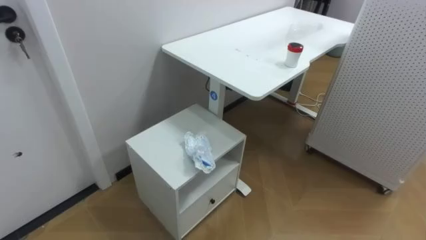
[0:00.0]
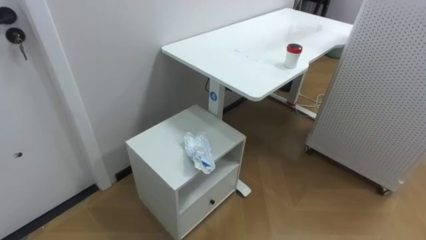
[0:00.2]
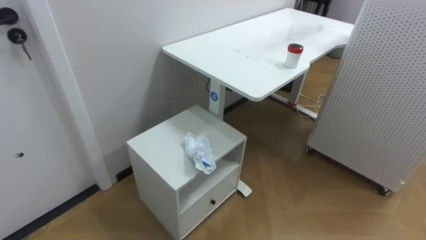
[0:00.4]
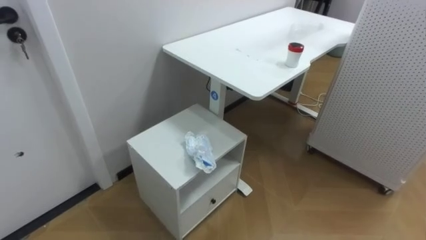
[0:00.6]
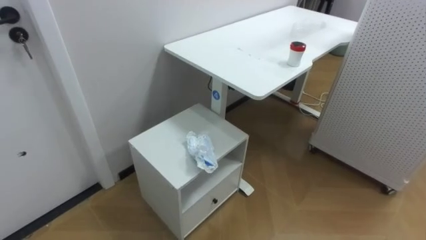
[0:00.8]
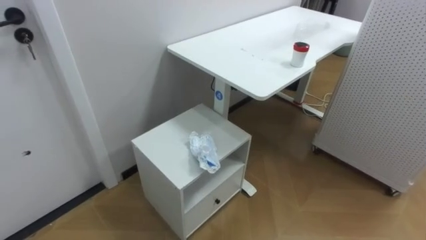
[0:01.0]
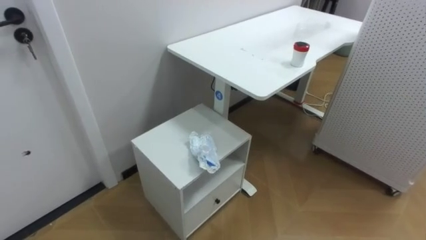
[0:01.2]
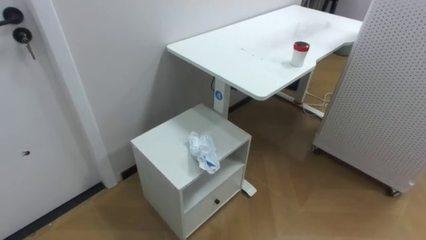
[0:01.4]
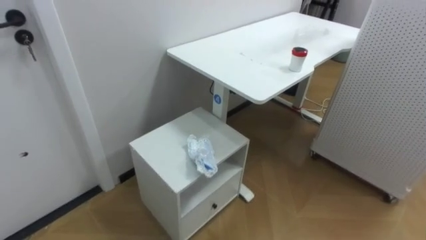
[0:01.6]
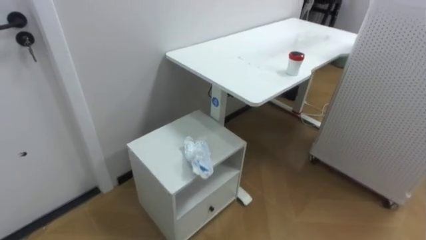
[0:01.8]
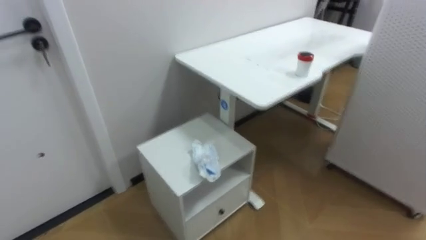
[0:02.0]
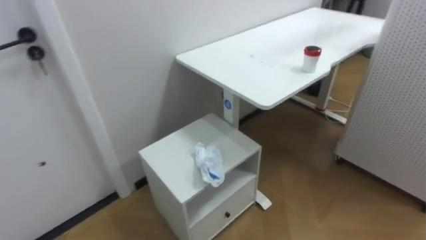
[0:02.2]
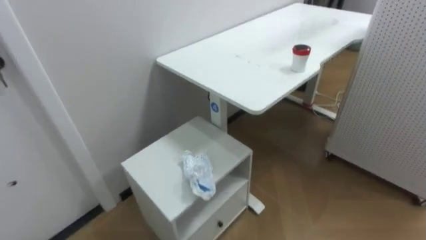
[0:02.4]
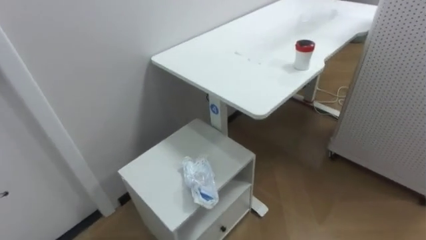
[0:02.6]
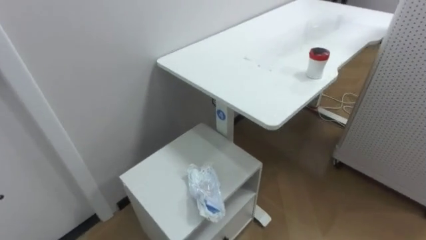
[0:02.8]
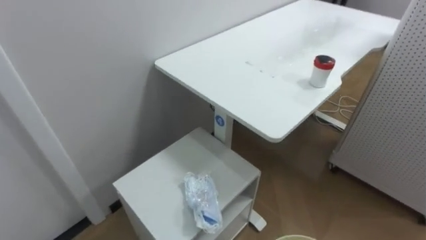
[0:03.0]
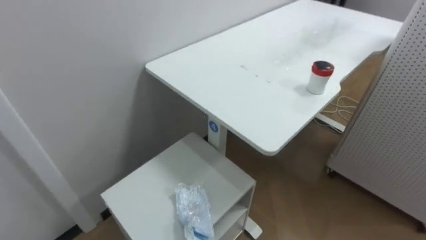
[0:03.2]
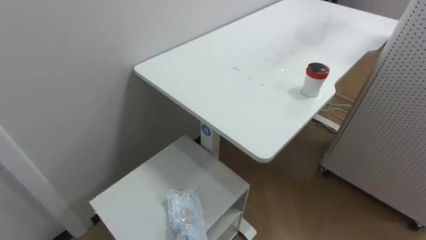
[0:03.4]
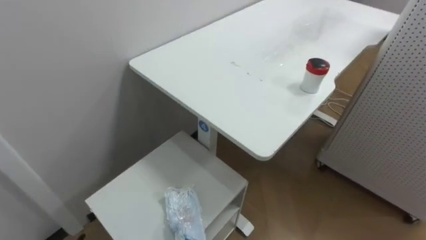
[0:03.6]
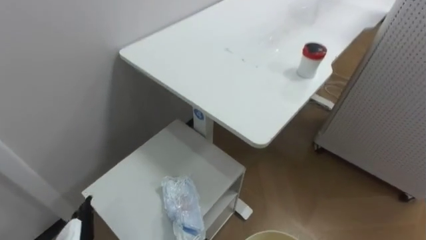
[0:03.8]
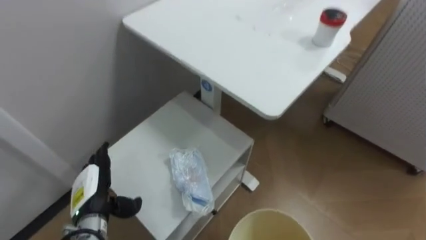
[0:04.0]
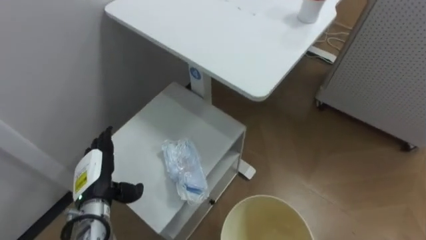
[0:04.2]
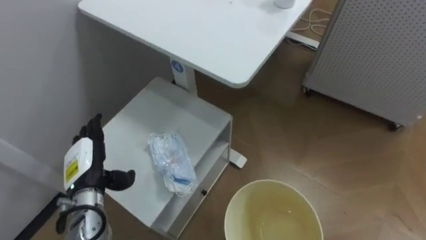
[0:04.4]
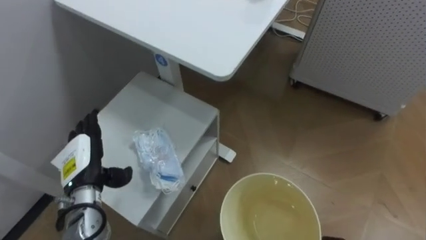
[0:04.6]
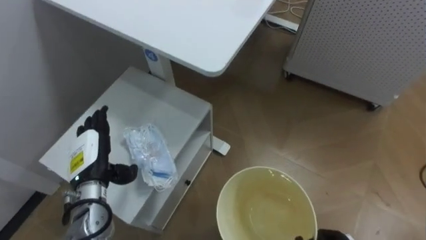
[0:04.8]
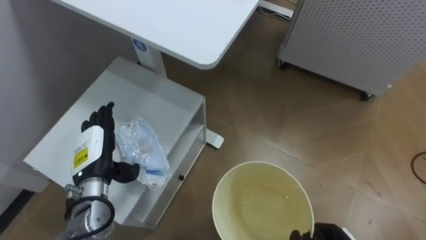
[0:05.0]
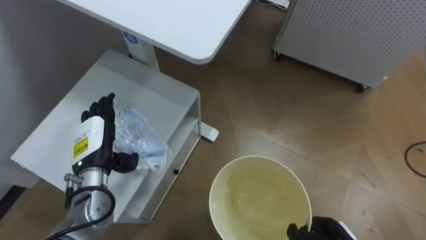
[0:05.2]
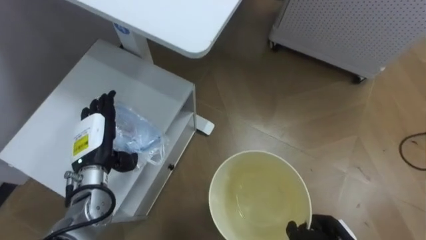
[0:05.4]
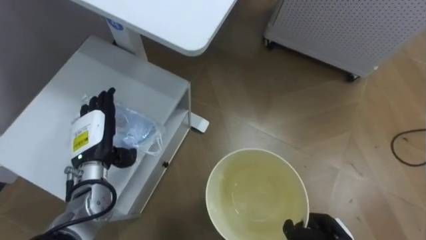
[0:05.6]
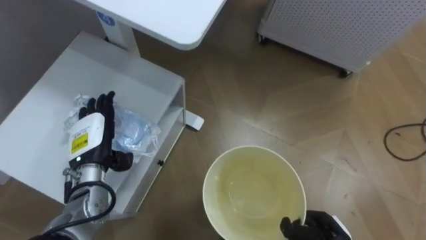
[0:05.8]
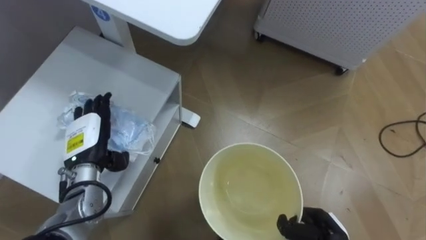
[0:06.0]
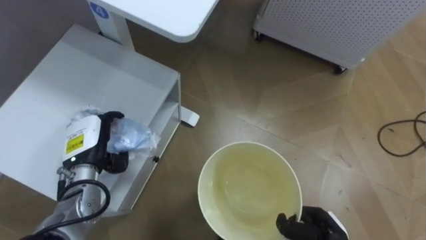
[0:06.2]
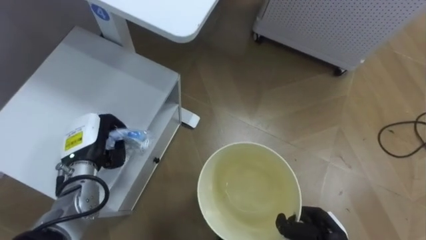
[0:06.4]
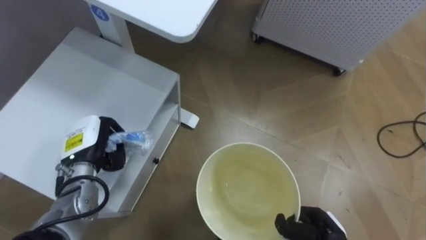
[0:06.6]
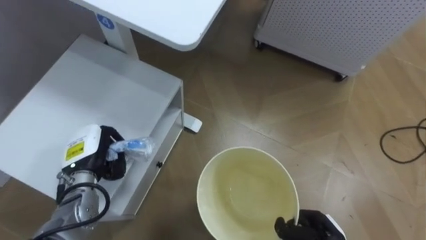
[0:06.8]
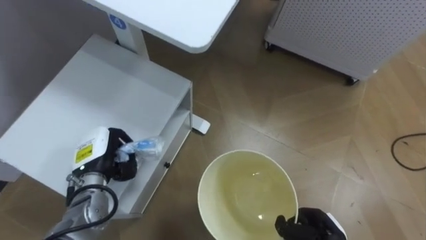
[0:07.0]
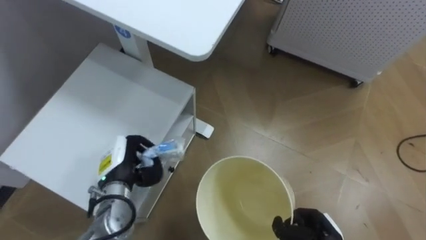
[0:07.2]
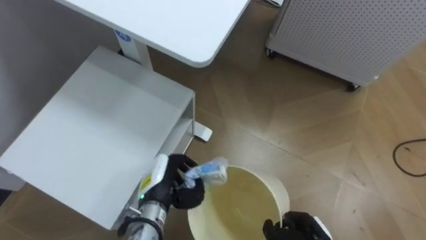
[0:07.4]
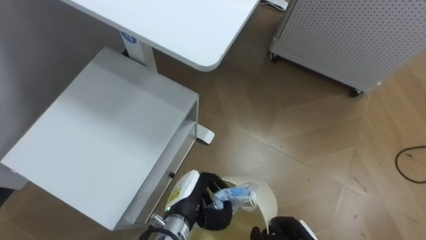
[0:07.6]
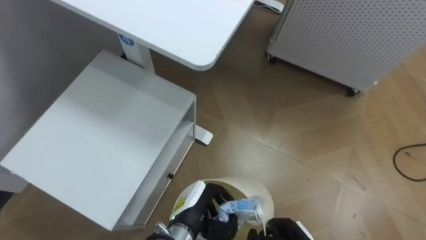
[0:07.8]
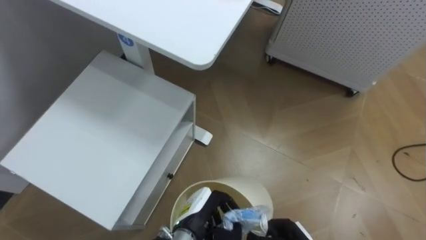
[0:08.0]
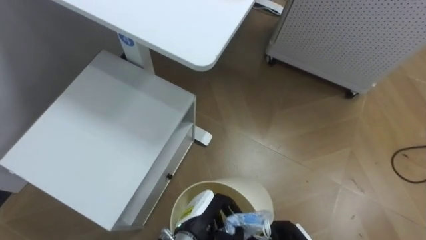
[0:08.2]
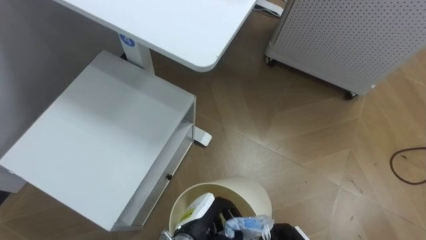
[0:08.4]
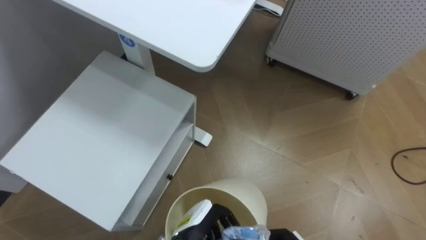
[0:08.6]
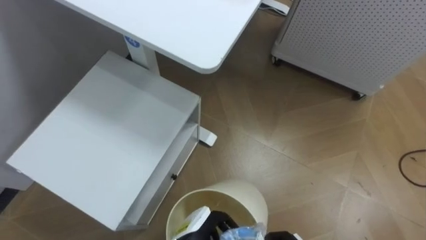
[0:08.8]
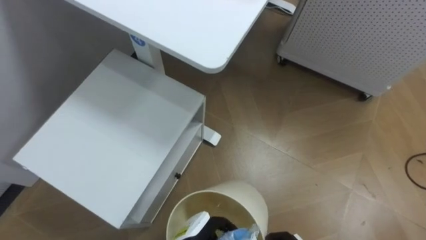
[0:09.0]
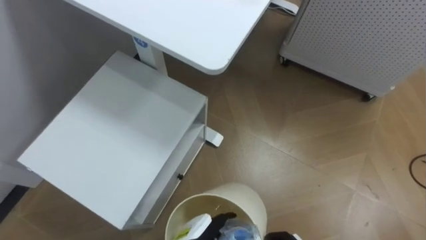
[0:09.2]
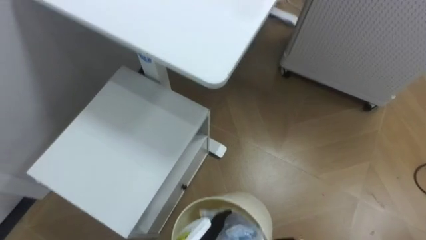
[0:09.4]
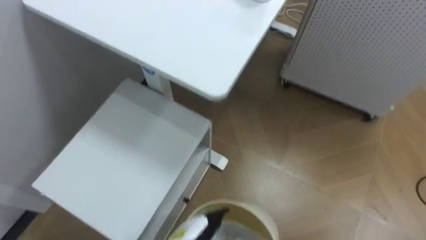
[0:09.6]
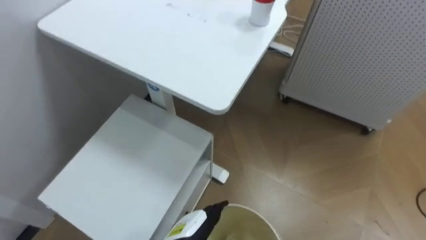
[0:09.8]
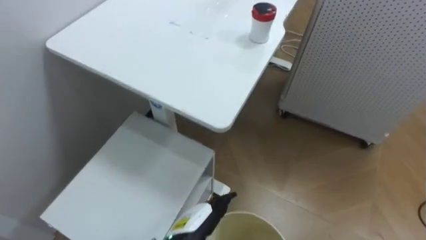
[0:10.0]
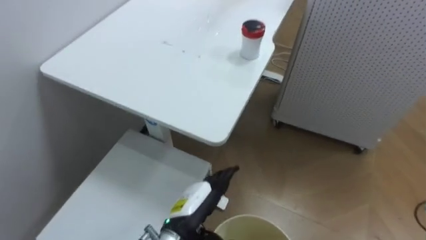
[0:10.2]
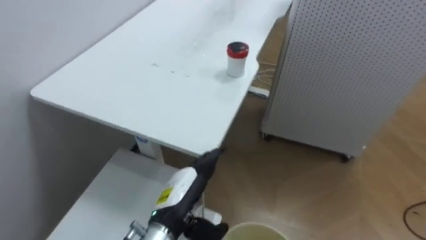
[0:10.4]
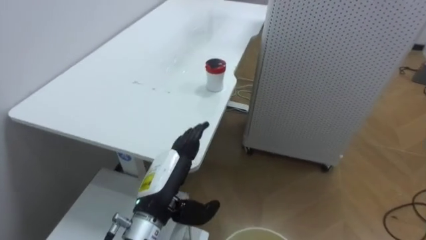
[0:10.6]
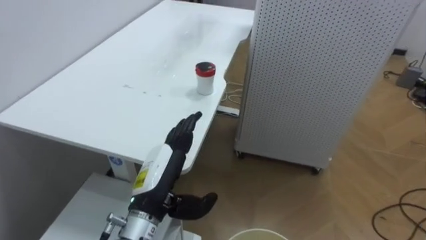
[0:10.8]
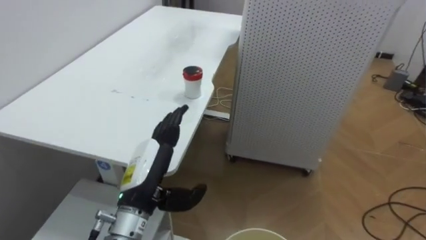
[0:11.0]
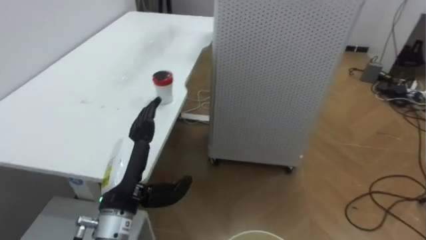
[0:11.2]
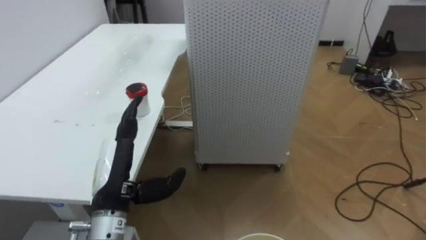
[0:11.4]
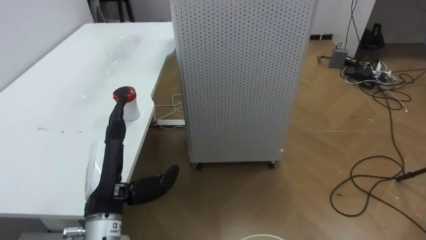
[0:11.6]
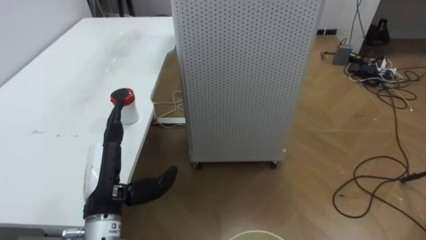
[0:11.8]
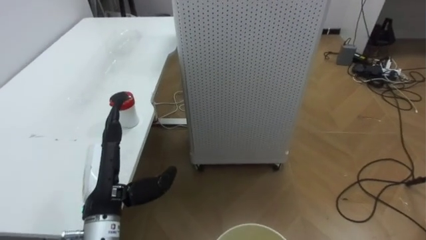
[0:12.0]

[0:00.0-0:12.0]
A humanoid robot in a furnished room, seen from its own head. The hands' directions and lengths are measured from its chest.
Task of the whole recording: Pick up the light blue package, the candy box, and the dark blue package separately, and put them into the trash can held in your right hand.
0:04.4 to 0:06.0: The left hand ends up roughly 5 cm from where it was.
0:06.0 to 0:07.6: The left hand goes some 20 cm to the right and downward, and closes its fingers.
0:07.6 to 0:09.0: The left hand heads backward and downward, covering roughly 10 cm, and opens up.
0:10.4 to 0:12.0: The robot's body swings about 25 degrees to its right. The left hand travels to the left and upward by approximately 15 cm.

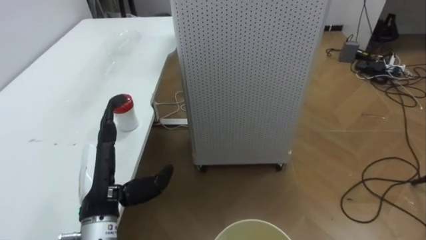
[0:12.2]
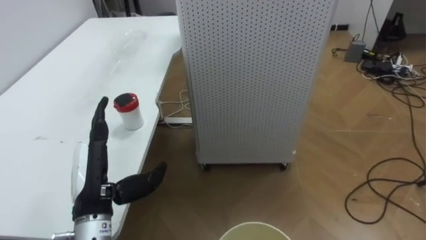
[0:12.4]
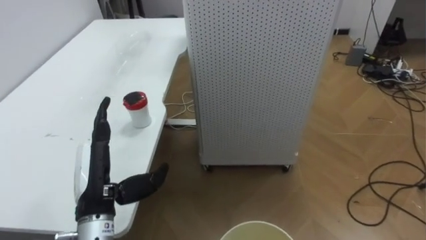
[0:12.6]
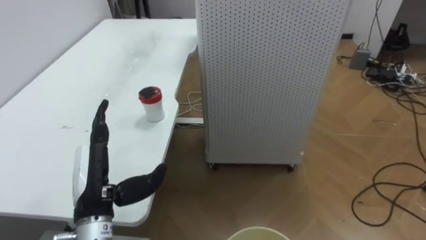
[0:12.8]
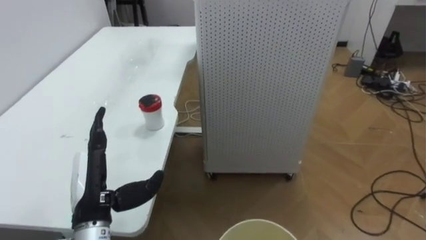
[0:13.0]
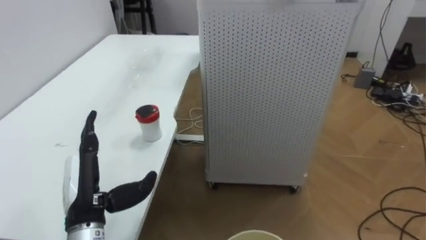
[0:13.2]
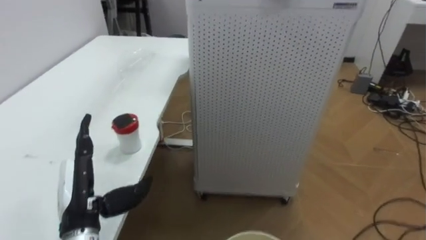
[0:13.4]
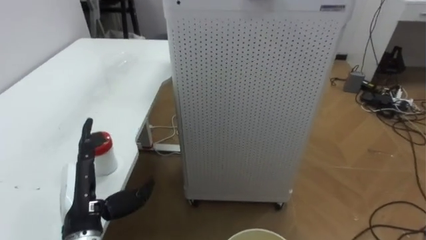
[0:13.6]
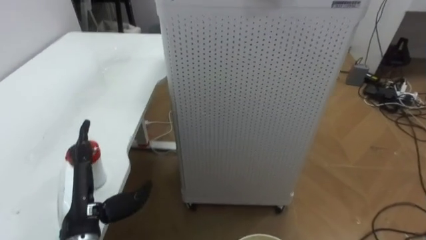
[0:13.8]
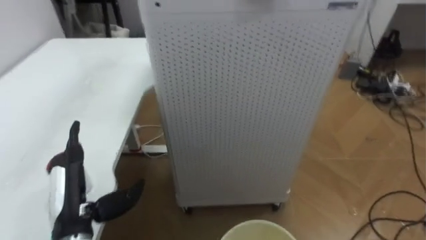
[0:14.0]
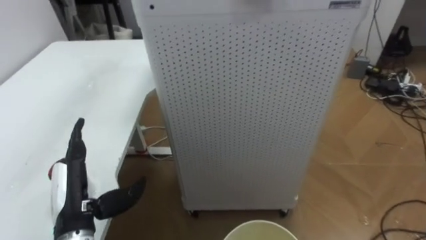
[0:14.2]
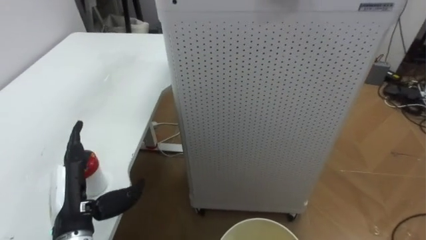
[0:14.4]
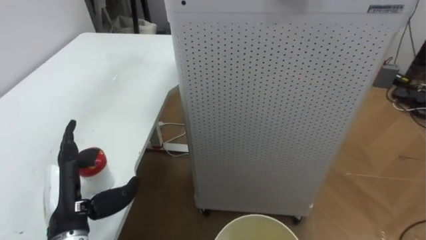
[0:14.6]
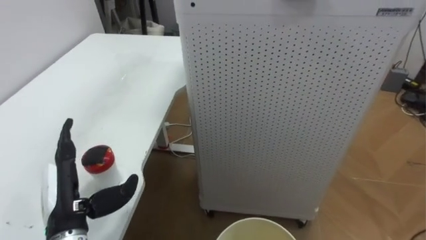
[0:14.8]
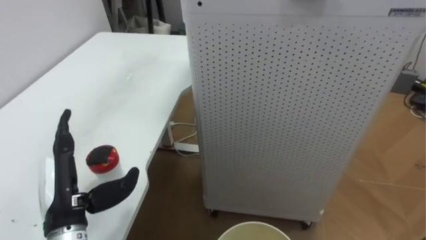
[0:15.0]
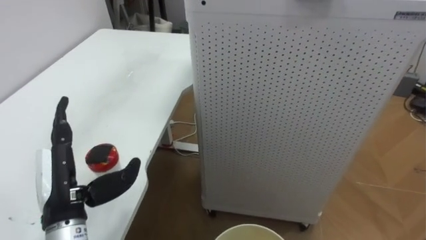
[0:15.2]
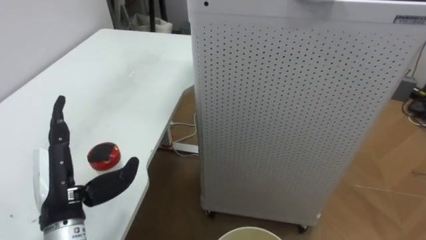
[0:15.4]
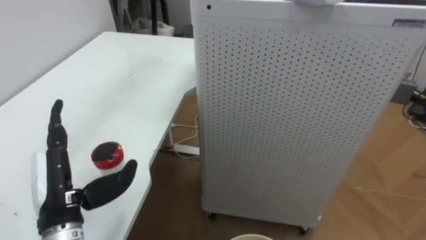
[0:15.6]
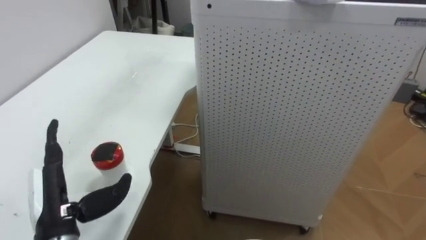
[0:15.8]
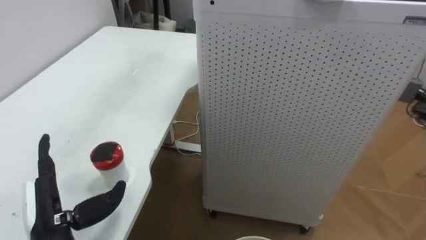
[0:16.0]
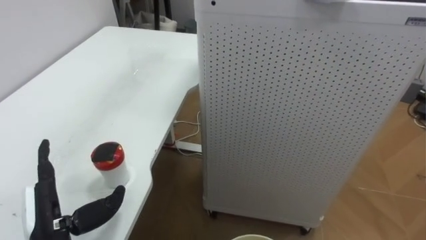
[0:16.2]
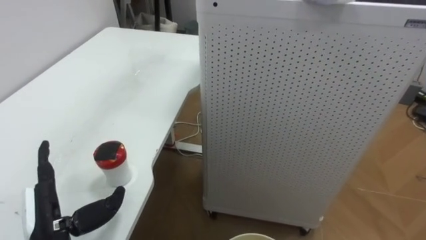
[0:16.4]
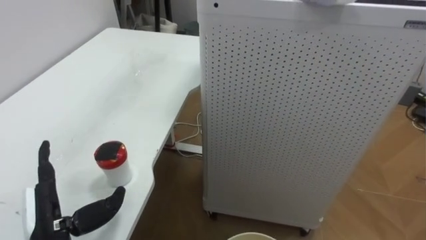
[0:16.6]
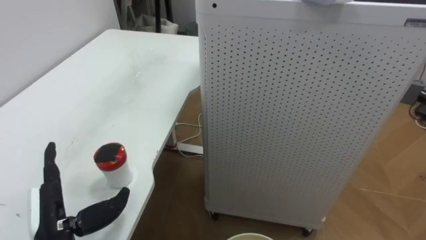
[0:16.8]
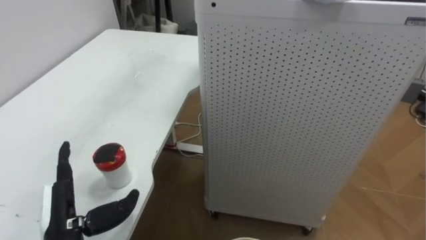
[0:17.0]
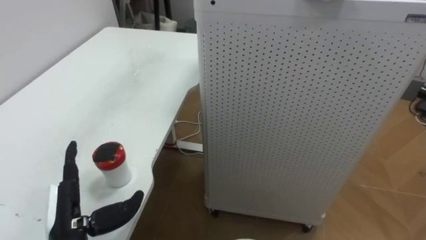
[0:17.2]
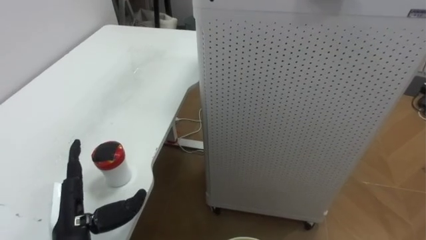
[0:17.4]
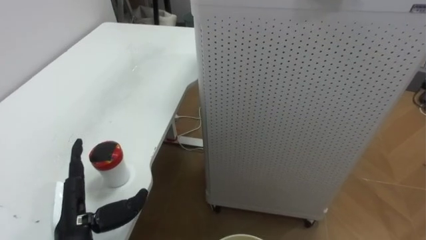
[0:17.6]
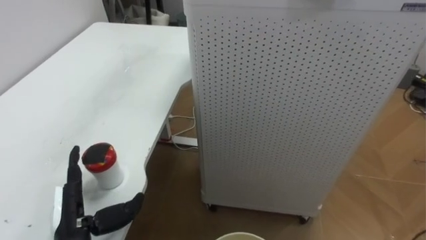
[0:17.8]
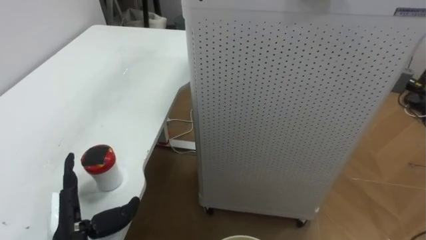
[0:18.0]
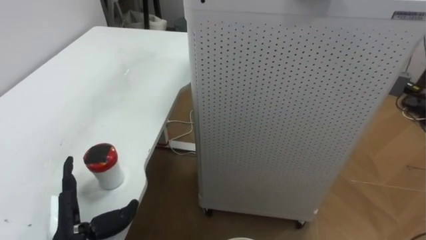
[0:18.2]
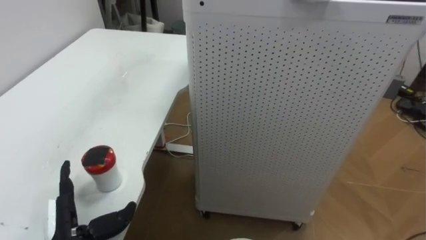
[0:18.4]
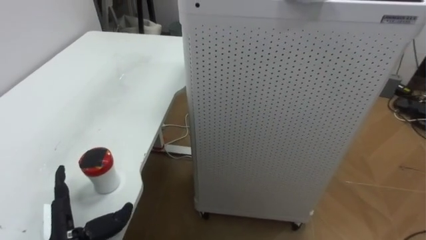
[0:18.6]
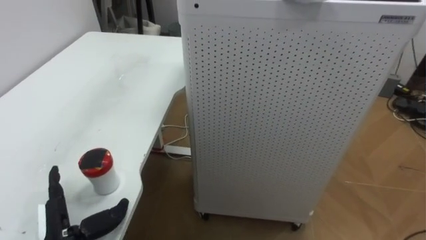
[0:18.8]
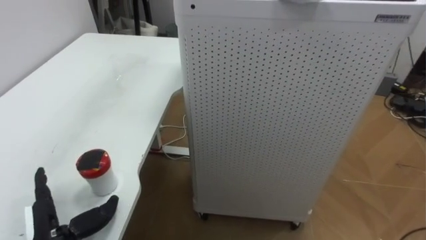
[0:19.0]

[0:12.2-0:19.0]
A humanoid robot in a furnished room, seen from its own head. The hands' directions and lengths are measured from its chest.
Task of the whole recording: Pick up the light blue package, the candy box, and the dark blue package separately, and put them into the trash can held in your right hand.
0:17.6 to 0:19.0: The left hand moves roughly 5 cm.
